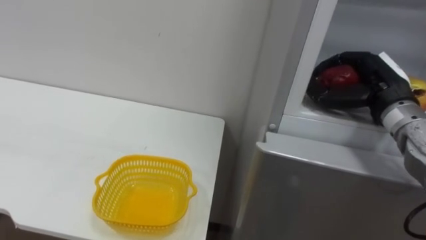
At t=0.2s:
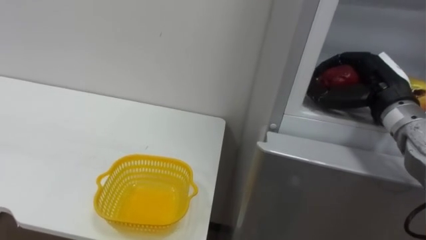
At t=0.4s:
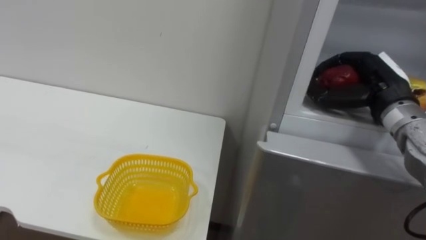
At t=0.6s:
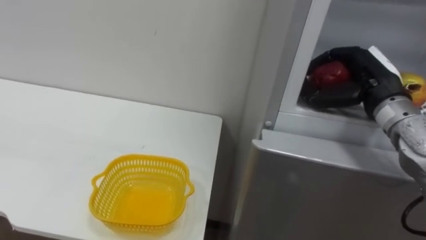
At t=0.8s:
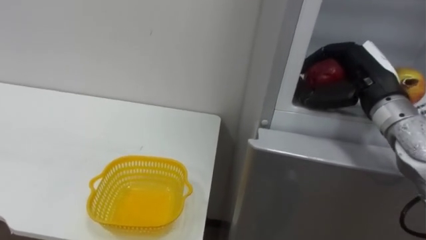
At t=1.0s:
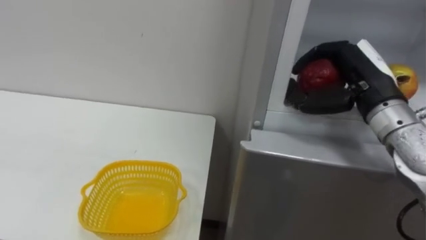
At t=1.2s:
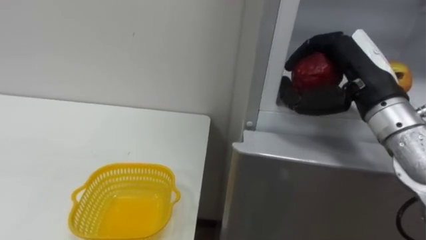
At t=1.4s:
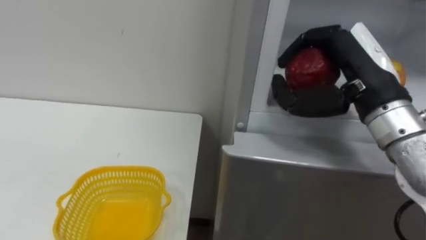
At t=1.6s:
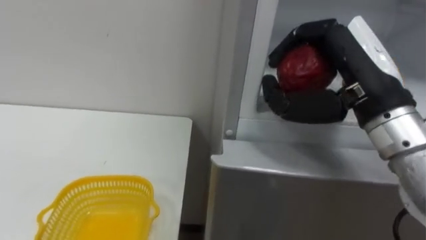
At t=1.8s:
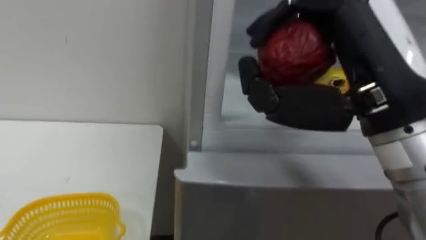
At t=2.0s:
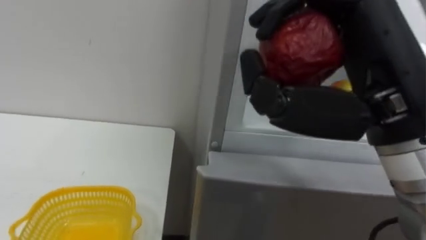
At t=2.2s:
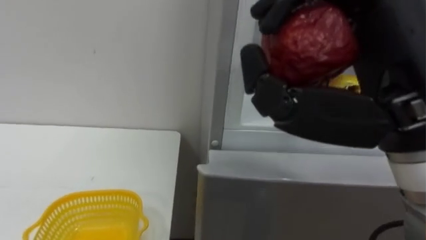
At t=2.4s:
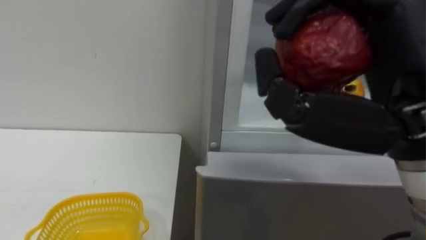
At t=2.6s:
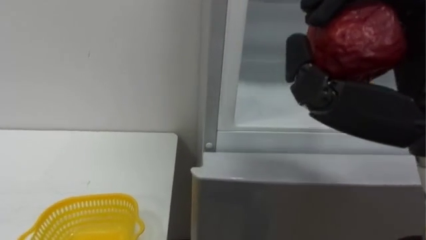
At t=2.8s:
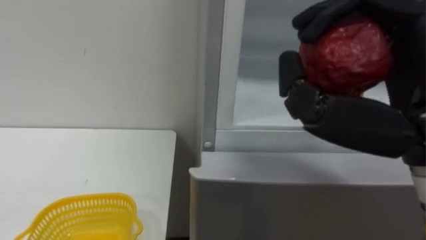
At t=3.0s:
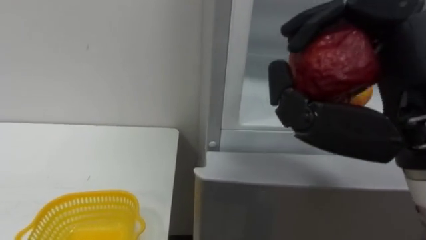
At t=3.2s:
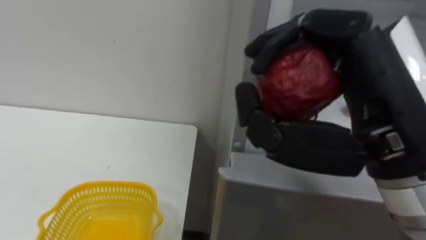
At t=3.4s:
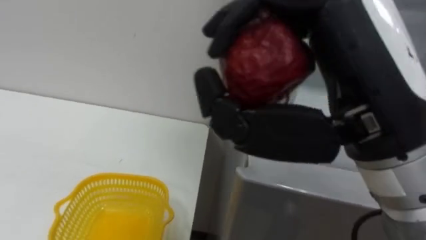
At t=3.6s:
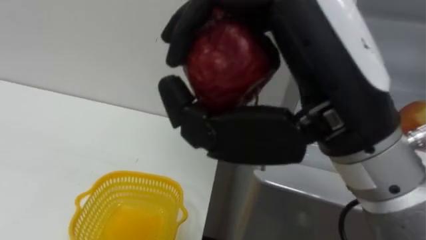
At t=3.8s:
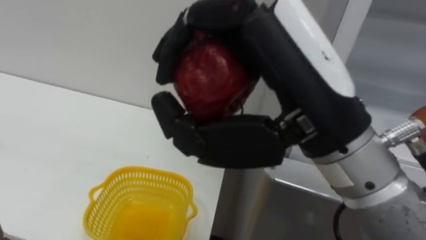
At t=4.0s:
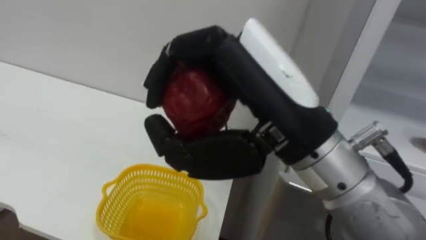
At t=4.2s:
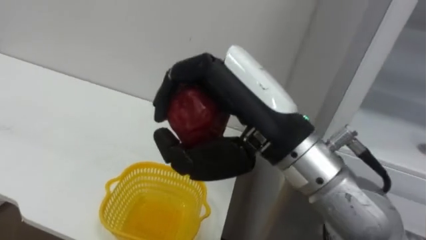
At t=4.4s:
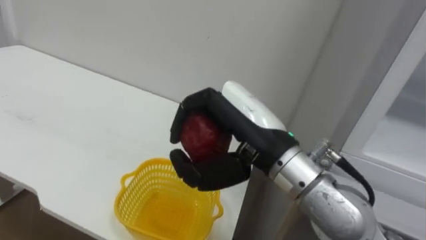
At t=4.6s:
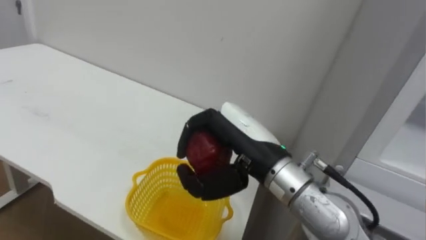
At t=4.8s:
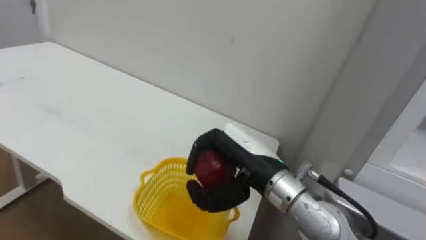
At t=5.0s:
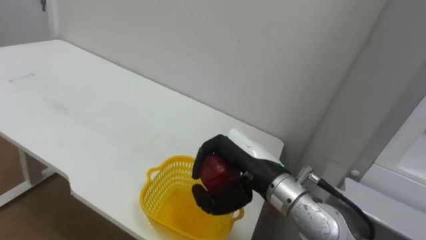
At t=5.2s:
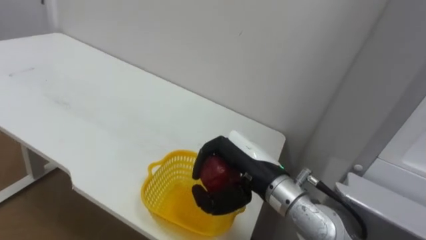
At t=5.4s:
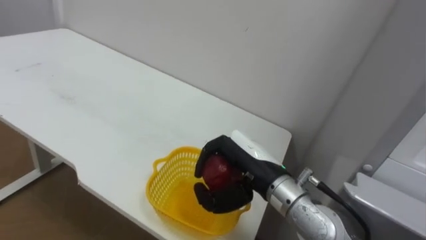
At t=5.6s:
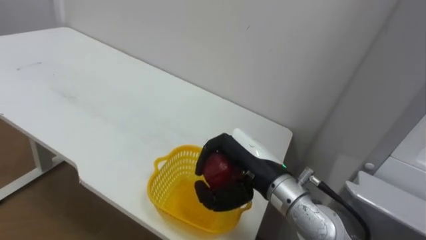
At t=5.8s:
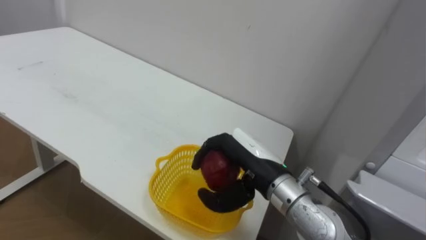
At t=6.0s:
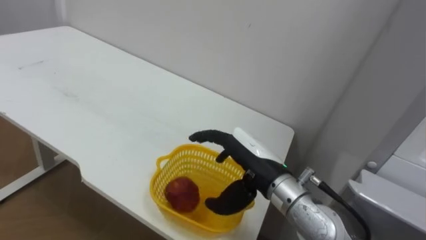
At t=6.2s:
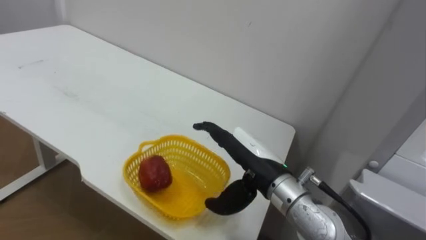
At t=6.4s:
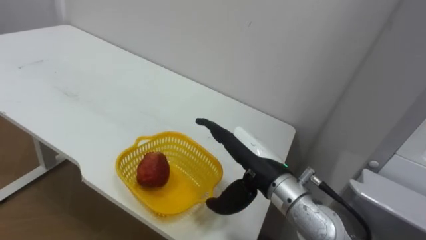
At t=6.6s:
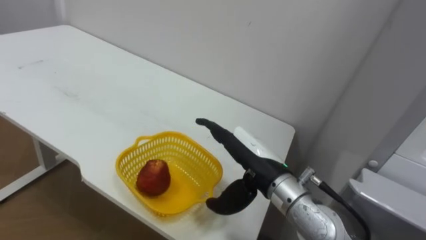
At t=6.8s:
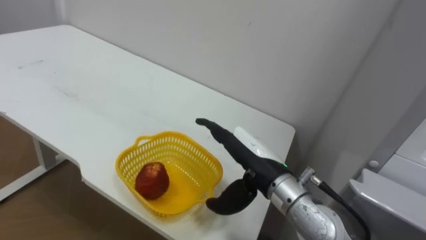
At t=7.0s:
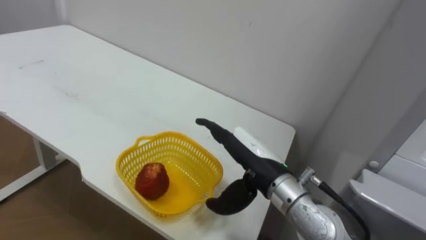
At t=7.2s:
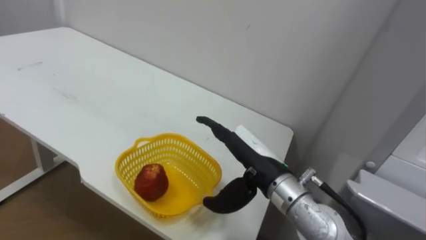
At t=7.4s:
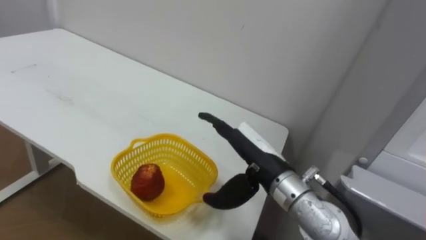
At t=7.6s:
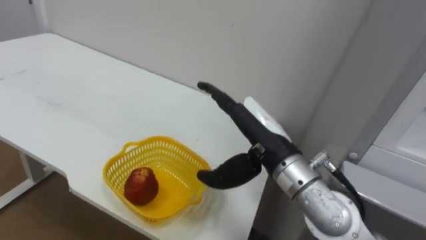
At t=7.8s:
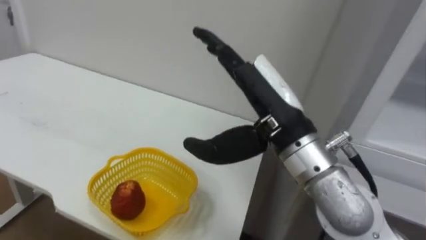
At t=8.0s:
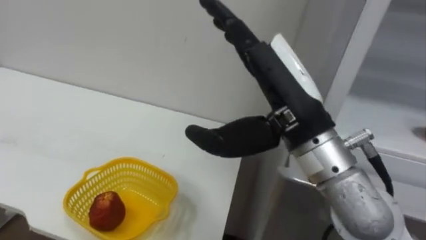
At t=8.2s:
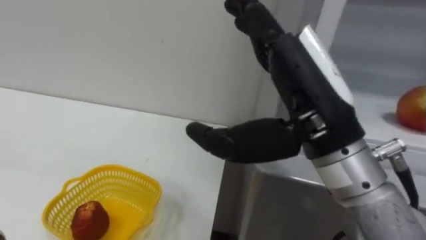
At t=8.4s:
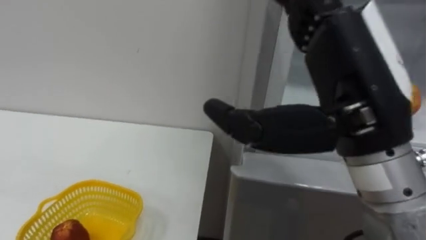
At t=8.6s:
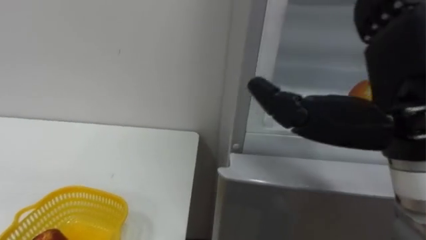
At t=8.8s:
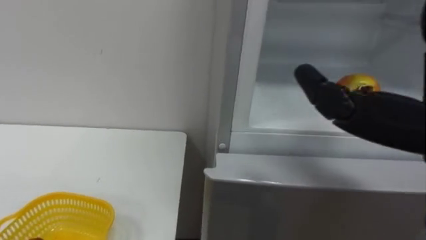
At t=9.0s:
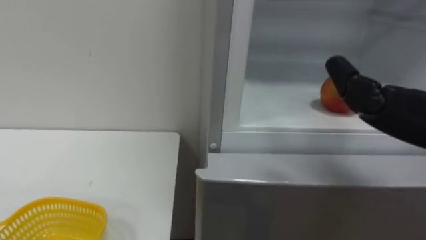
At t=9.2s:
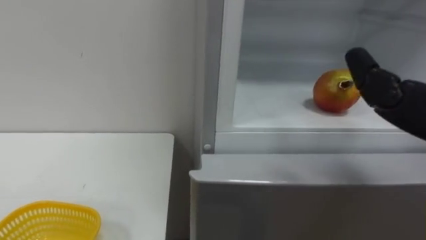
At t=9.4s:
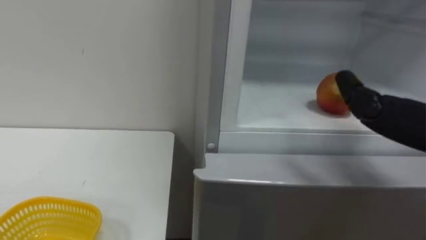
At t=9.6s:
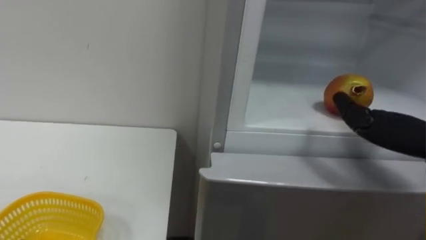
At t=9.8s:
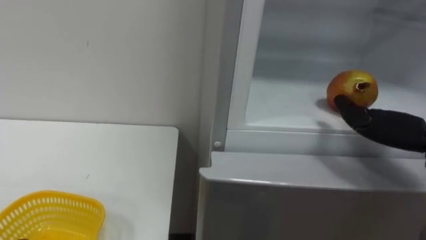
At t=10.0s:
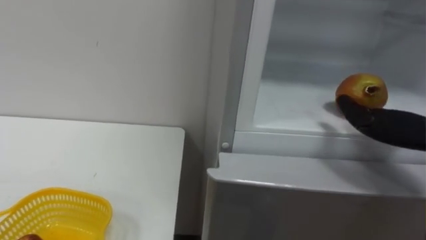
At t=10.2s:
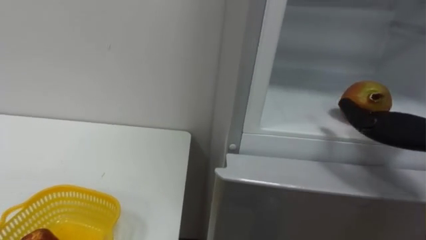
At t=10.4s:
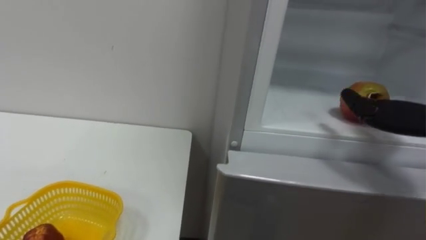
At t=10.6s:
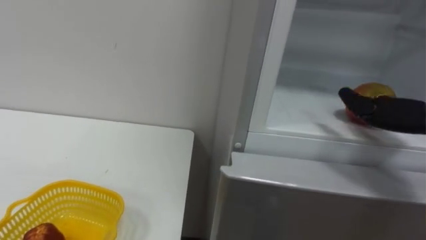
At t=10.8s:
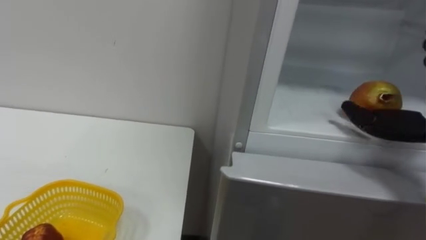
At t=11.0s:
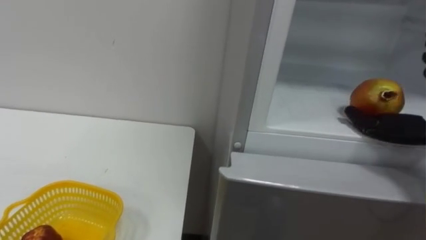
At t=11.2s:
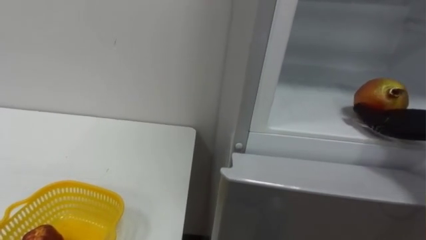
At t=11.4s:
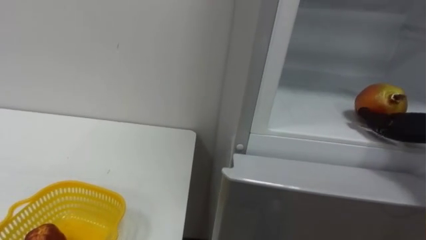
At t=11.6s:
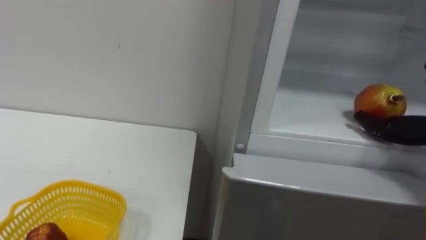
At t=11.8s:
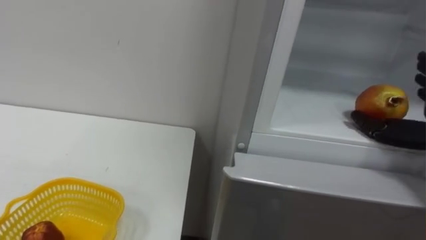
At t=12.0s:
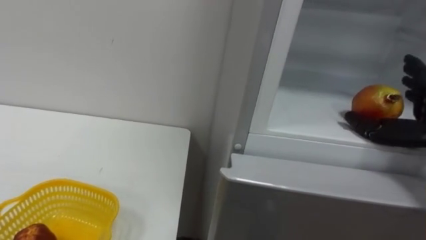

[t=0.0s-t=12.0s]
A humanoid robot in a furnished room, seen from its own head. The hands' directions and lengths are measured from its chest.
Task of the whole recording: Open the refrigerator door, take out the apple and the pomegranate, place them in the fruit basket on the left, and close the refrigerator door.
t=0.0s to t=1.6s: The right hand shifts approximately 15 cm backward, to the left and upward.
t=1.6s to t=3.0s: The right hand heads backward, covering some 10 cm.
t=3.0s to t=4.4s: The right hand goes about 15 cm to the left, forward and downward.
t=4.4s to t=6.0s: The right hand is displaced downward and forward by some 10 cm, and opens up.

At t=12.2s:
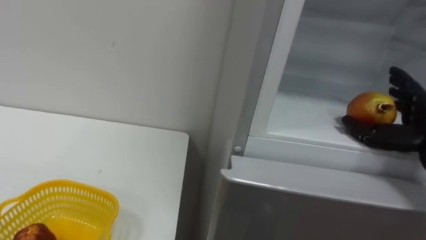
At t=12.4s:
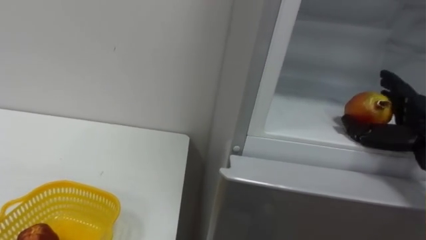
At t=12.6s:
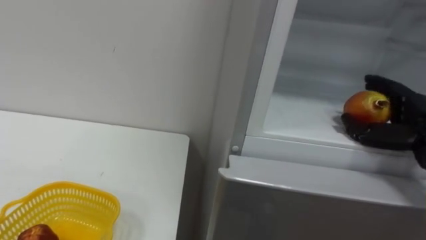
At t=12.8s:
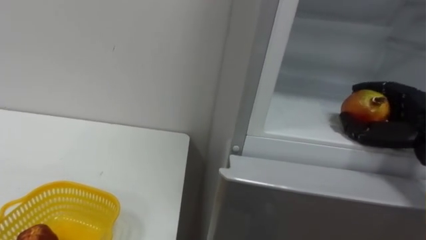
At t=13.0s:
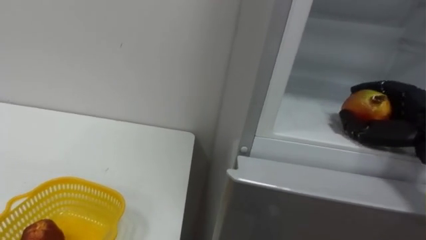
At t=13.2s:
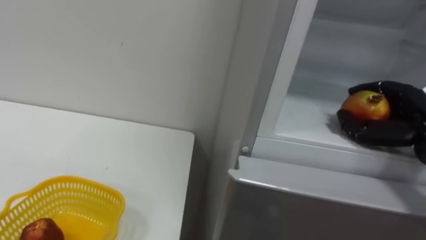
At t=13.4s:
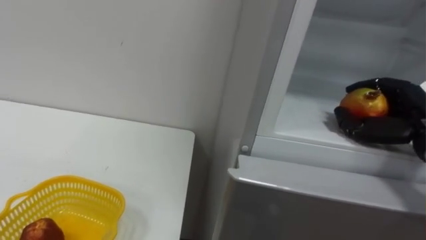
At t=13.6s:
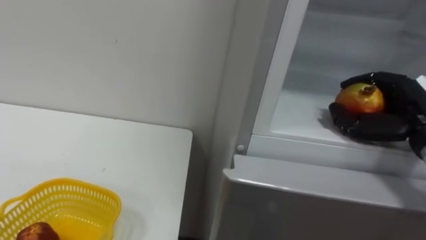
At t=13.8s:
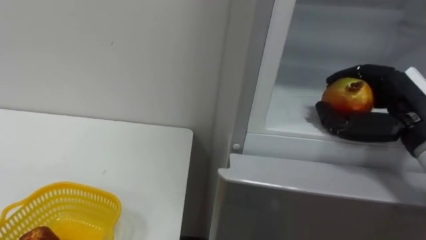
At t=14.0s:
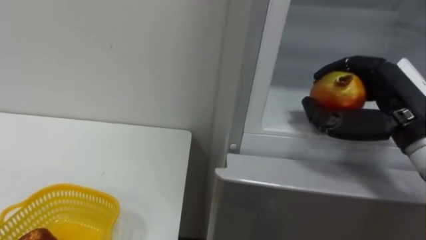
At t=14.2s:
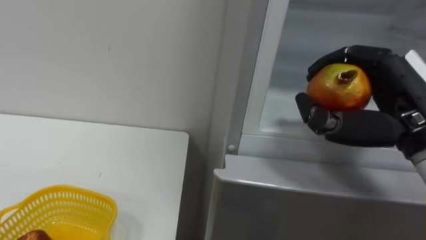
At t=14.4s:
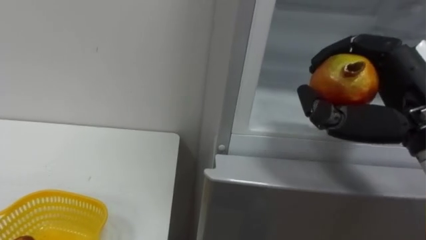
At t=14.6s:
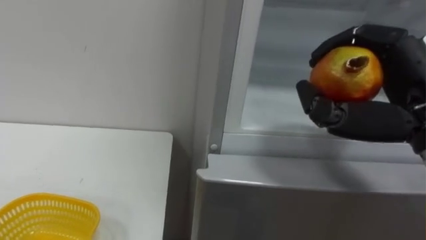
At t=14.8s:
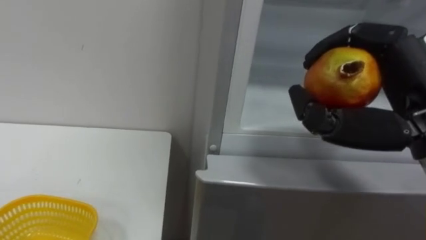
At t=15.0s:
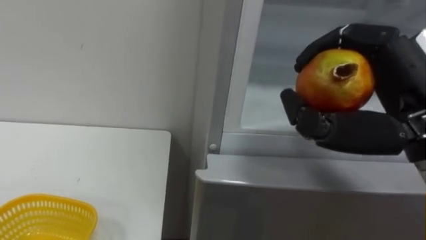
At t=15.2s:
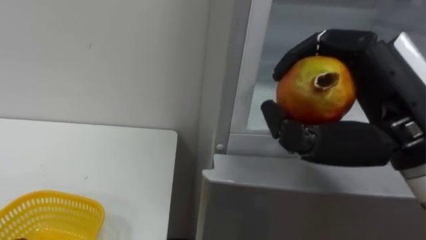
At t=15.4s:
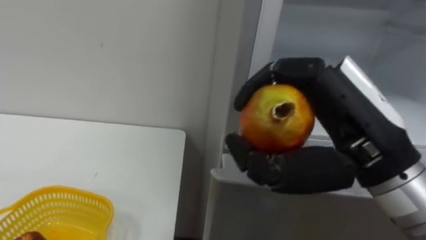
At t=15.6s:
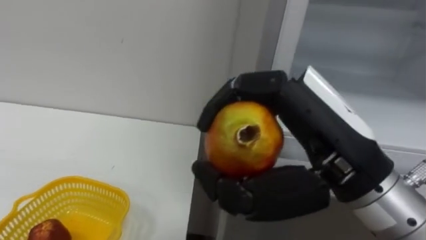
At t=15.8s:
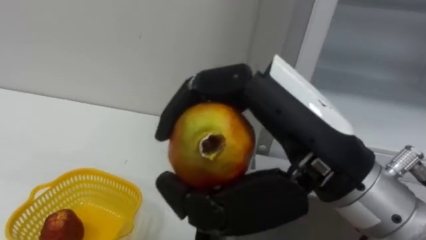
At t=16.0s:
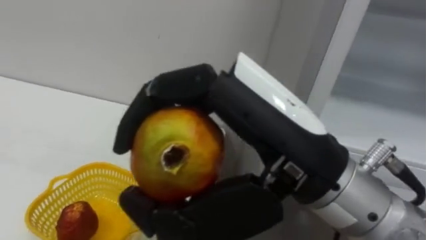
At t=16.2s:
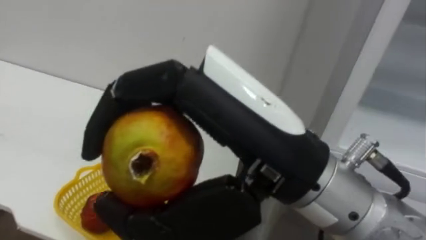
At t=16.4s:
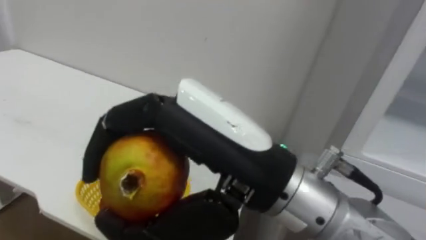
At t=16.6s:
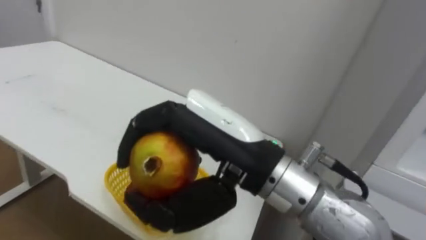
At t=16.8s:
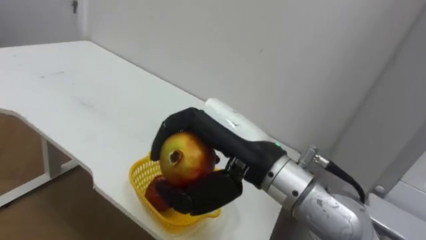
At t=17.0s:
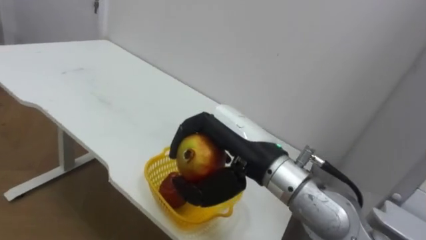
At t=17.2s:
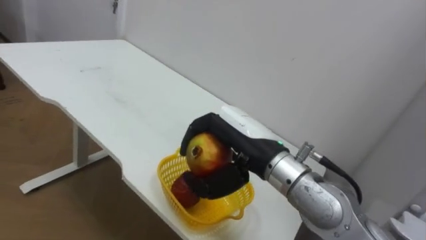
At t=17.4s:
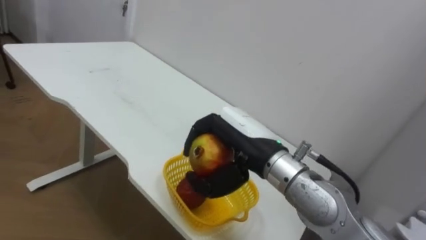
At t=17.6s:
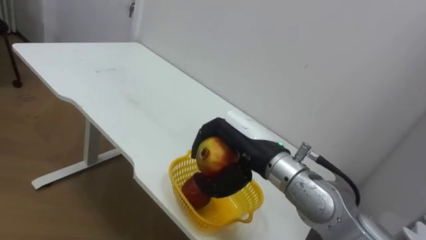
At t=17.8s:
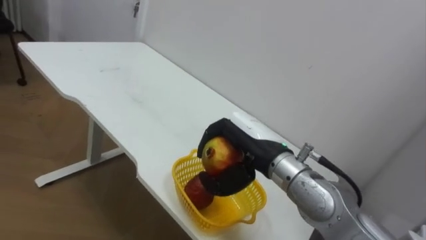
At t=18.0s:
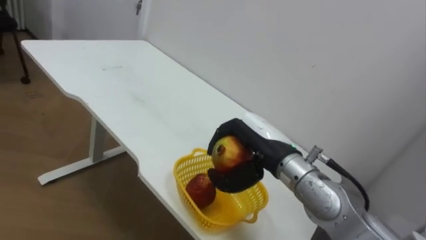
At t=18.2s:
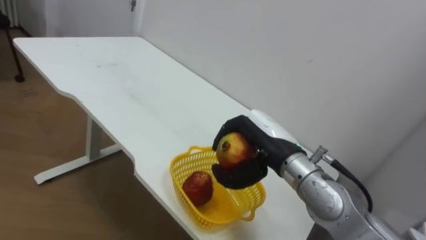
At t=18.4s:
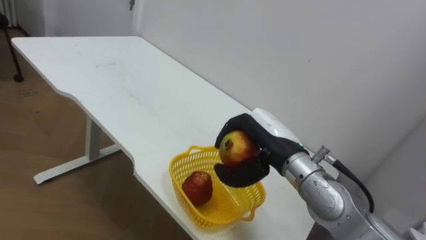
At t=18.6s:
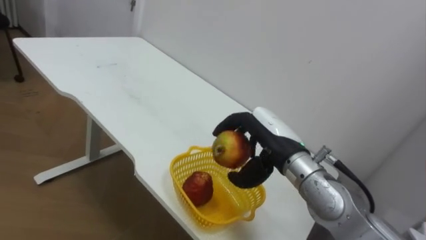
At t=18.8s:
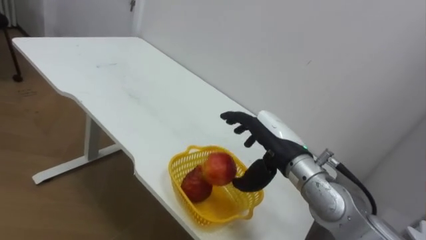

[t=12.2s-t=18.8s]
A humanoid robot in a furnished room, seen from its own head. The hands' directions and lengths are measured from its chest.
Task of the whole recording: Open the refrigerator door, take out the apple and the pomegranate, place them in the fruit basket on the left, and close the refrigerator door.
t=12.2s to t=13.8s: The right hand travels to the left by about 5 cm, and closes up.
t=13.8s to t=15.4s: The right hand travels to the left, backward and upward by approximately 15 cm.
t=15.4s to t=17.2s: The right hand is displaced to the left, downward and forward by roughly 15 cm.
t=17.2s to t=18.8s: The right hand shifts some 5 cm to the right and forward, and opens its fingers.
